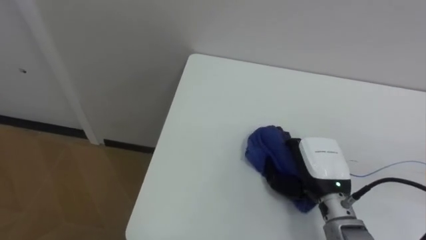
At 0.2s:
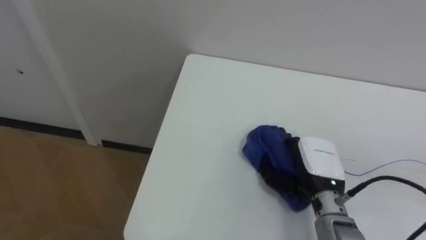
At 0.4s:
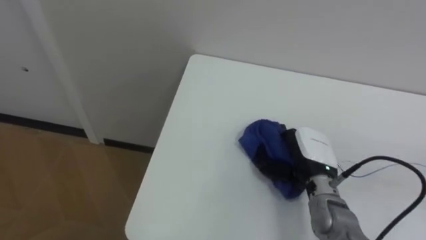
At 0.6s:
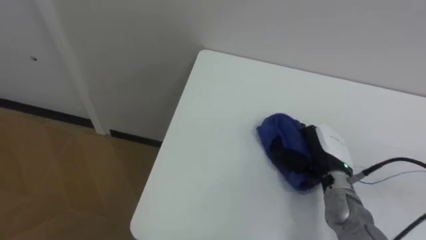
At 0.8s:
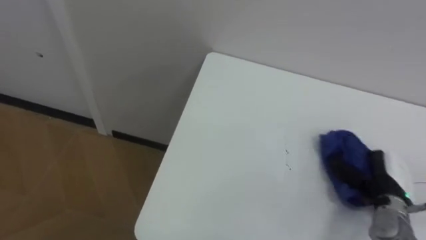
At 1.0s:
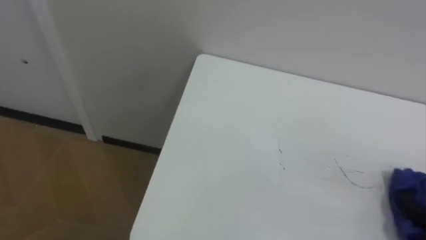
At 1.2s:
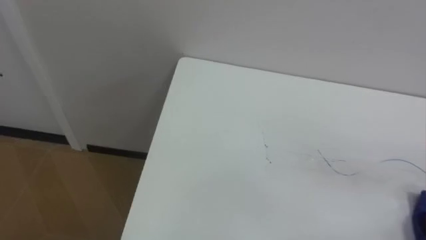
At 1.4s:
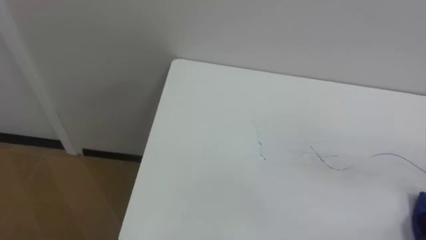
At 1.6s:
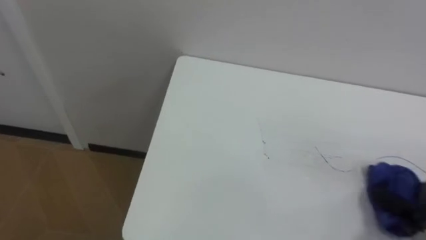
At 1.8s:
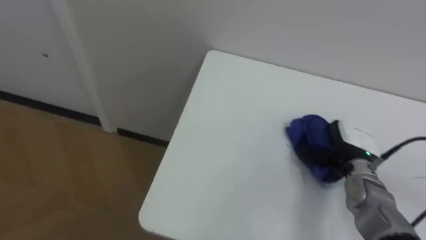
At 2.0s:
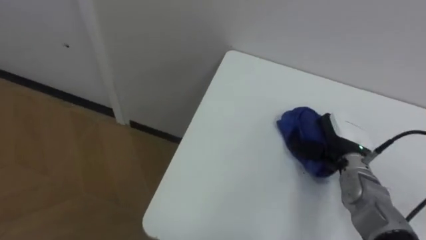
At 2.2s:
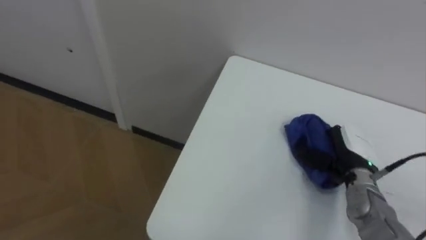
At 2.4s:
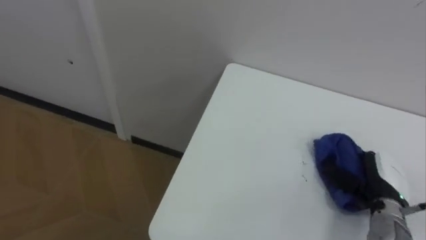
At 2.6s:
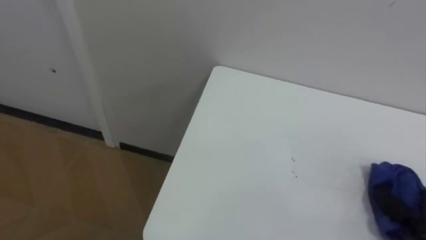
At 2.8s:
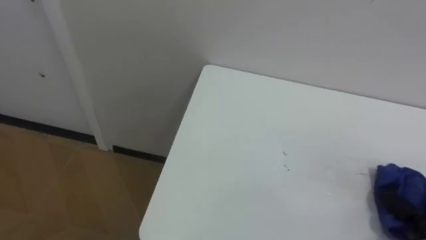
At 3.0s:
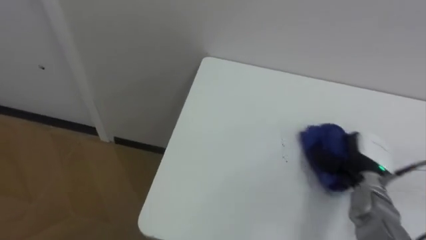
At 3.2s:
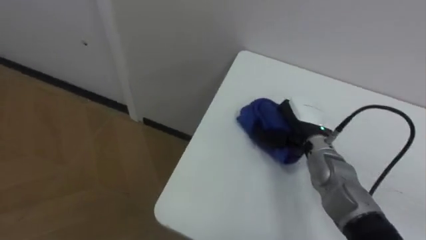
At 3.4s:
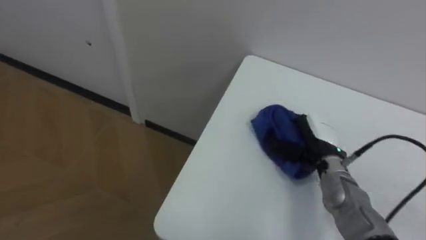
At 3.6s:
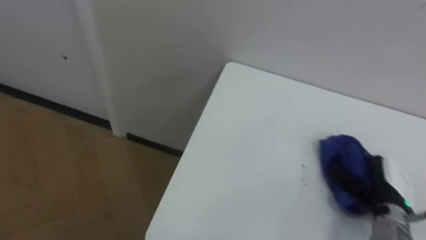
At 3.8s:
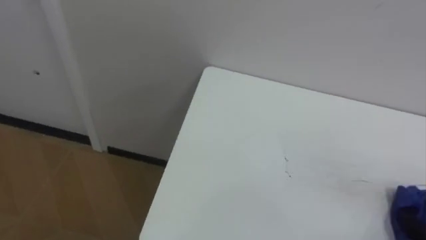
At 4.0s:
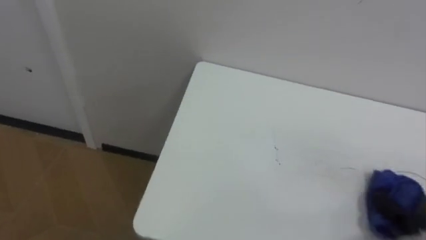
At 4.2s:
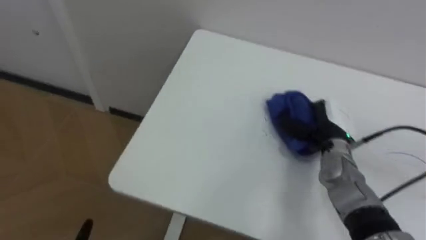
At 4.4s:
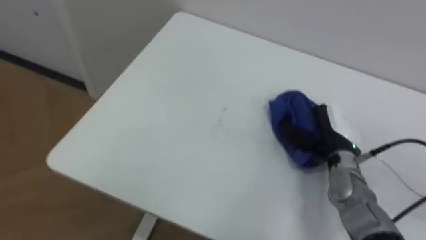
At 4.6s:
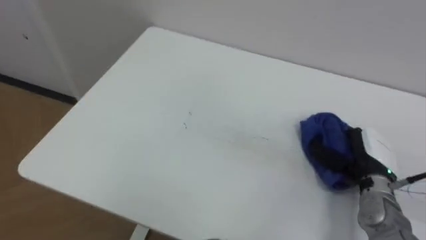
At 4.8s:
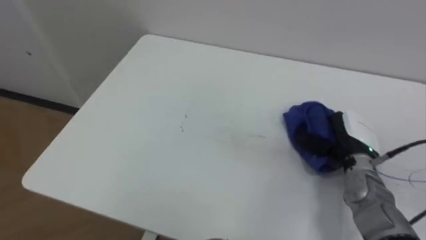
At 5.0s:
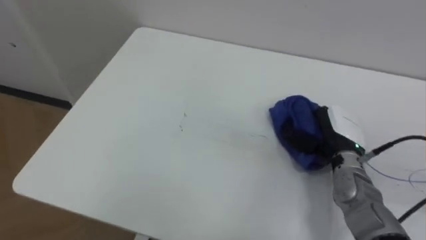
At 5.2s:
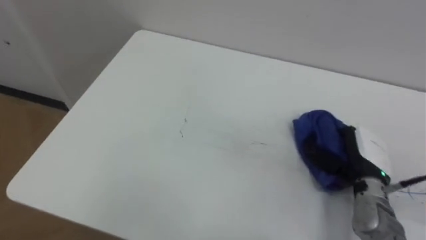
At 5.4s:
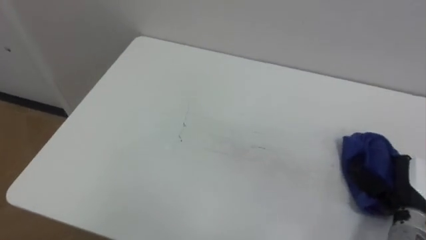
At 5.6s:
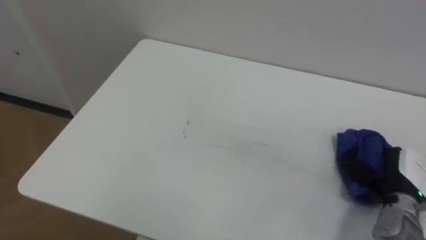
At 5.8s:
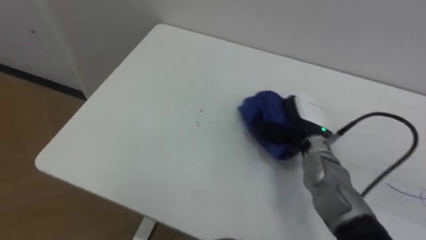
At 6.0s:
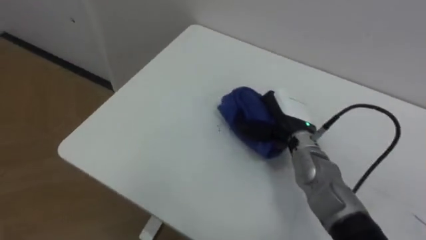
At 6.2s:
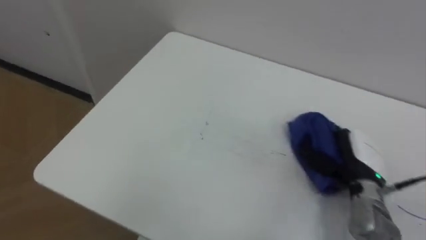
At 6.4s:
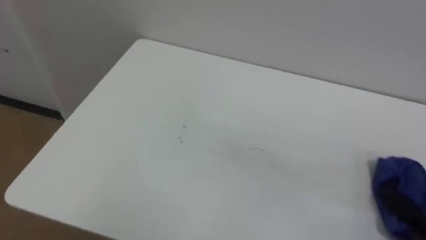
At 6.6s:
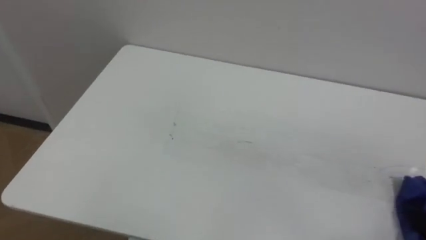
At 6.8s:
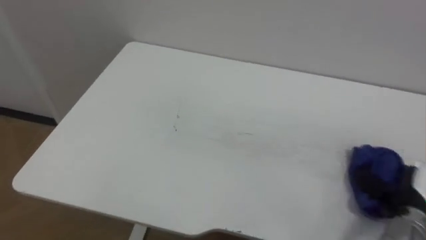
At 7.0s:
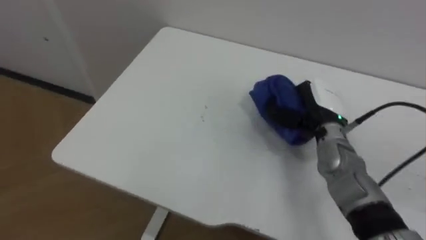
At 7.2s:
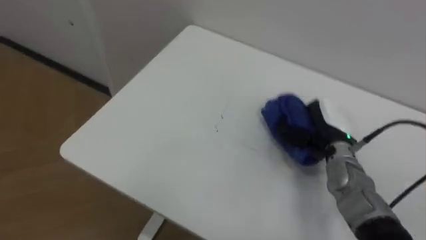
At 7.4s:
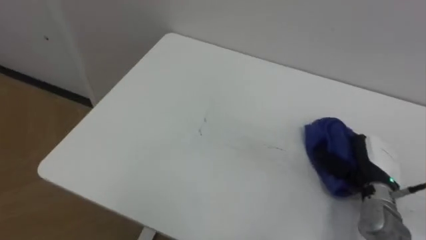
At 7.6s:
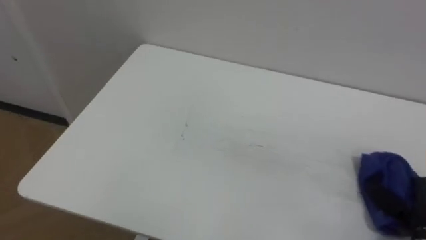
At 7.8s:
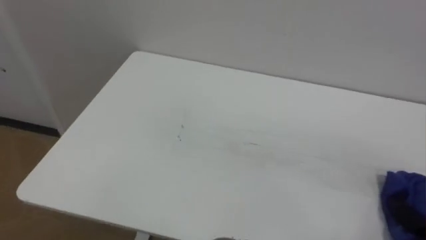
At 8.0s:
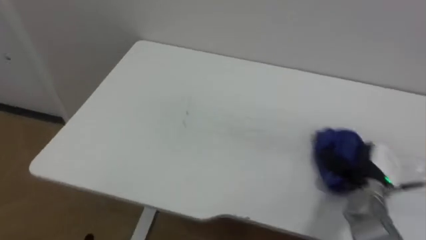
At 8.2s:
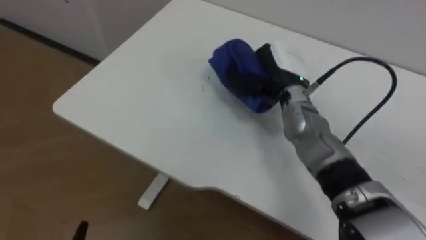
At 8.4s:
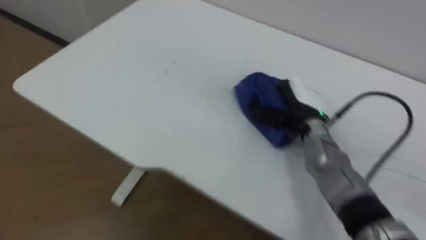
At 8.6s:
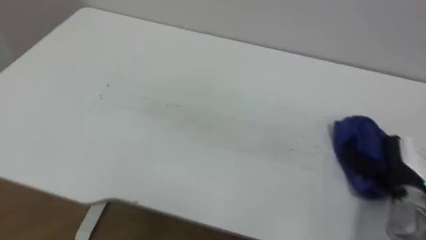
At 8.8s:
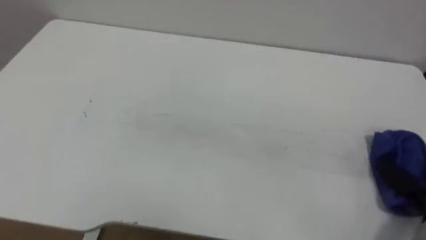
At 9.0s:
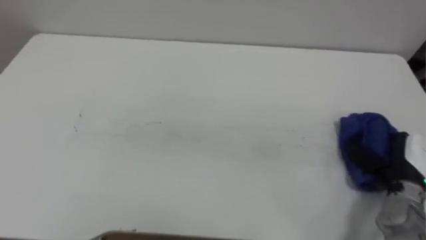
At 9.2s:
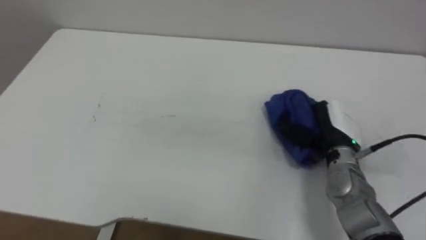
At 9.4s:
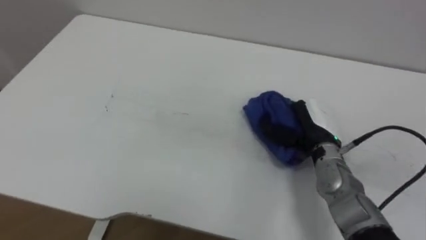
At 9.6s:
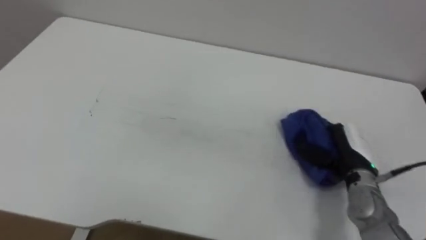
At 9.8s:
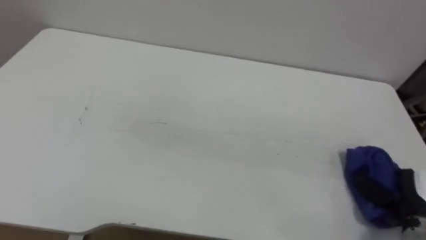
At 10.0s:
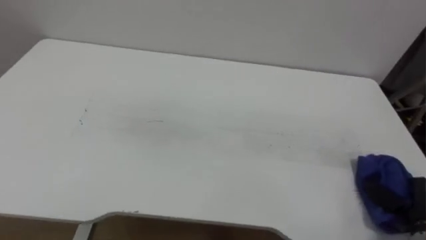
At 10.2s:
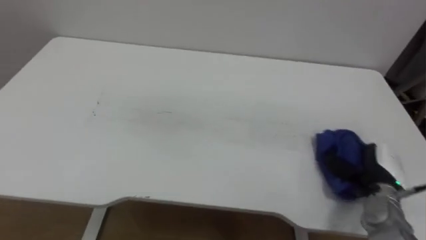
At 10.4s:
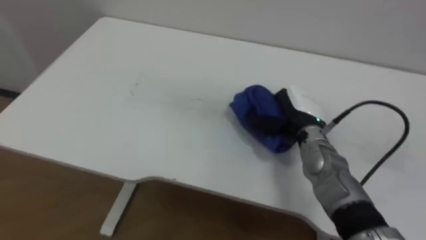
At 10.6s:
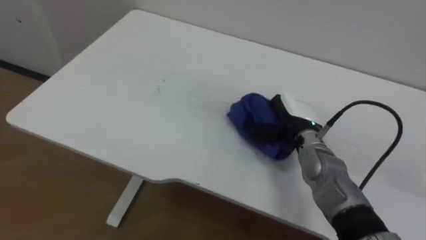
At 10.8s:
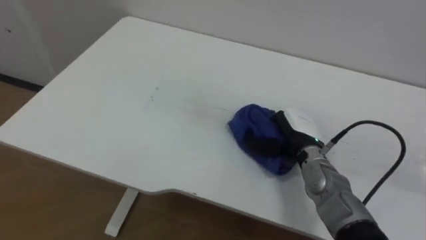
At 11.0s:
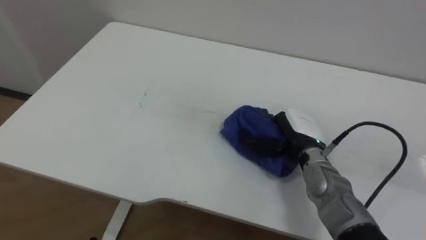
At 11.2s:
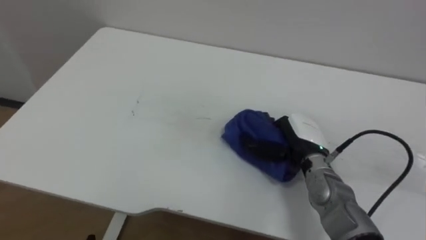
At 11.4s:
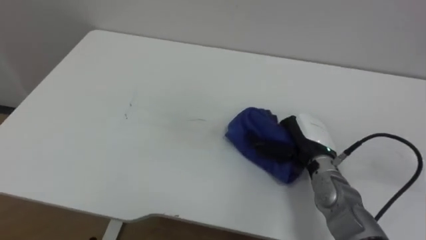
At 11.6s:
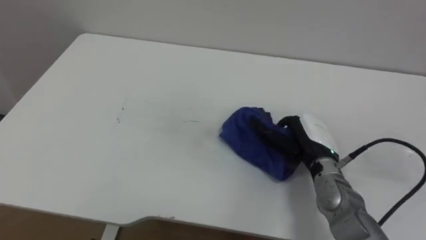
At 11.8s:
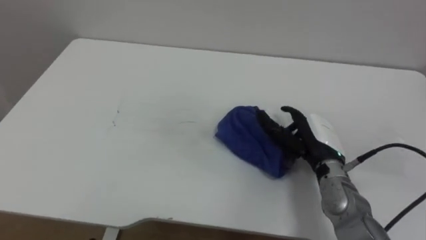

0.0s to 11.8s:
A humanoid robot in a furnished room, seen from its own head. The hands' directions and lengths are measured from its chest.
Task of the whole recording: Wipe the blue pen marks off the table with the rag.
4.4s to 6.0s: The right hand goes left and right, some 20 cm each way, reversing 3 times.
10.4s to 11.8s: The right hand is displaced backward by roughly 5 cm, and opens up.

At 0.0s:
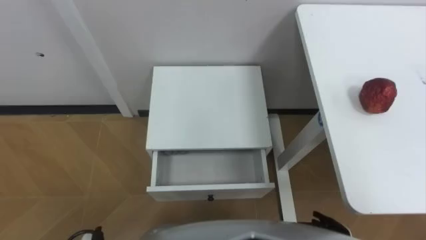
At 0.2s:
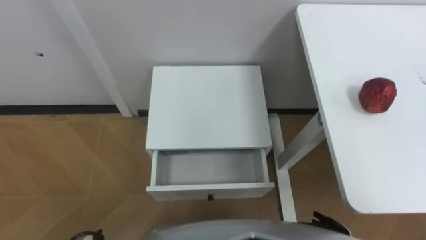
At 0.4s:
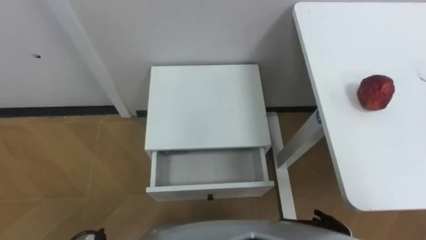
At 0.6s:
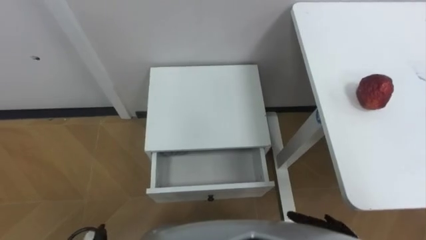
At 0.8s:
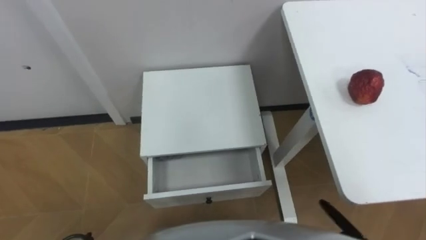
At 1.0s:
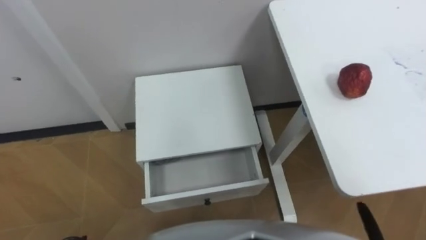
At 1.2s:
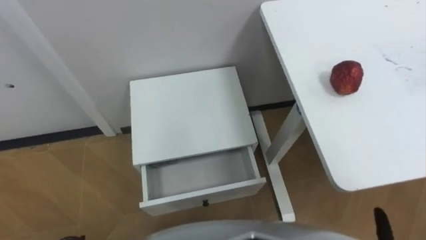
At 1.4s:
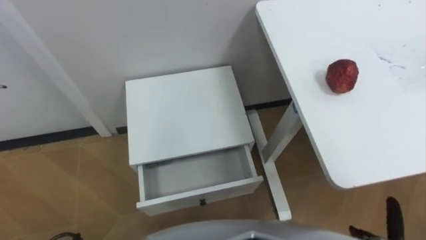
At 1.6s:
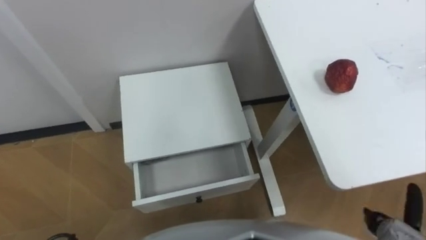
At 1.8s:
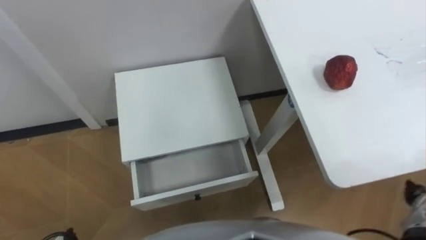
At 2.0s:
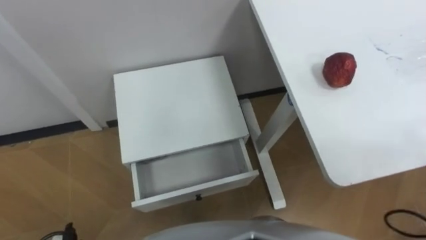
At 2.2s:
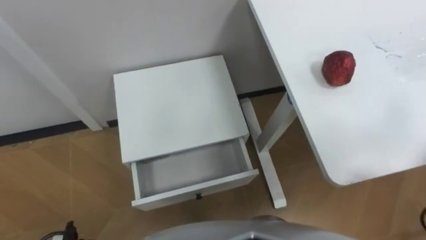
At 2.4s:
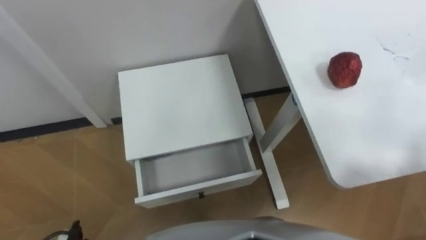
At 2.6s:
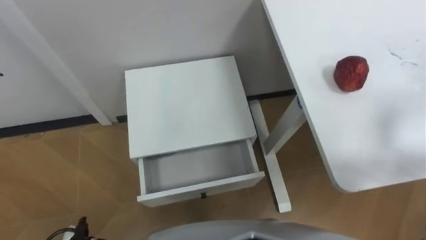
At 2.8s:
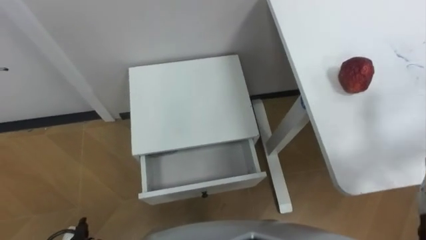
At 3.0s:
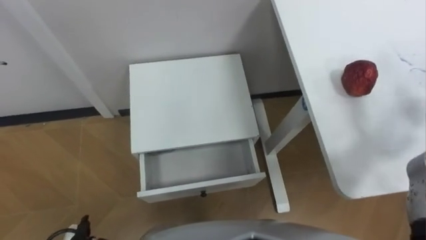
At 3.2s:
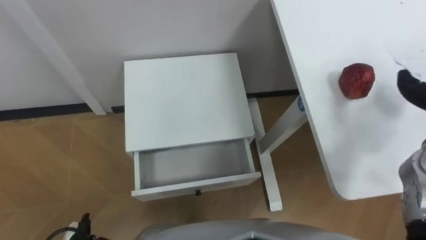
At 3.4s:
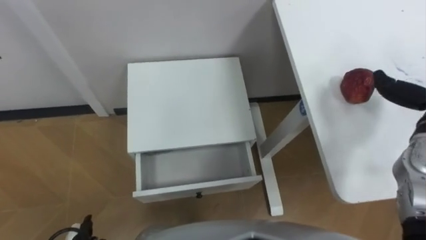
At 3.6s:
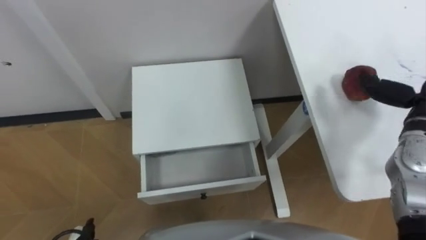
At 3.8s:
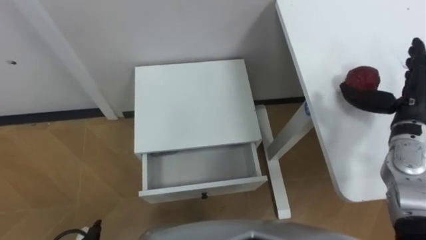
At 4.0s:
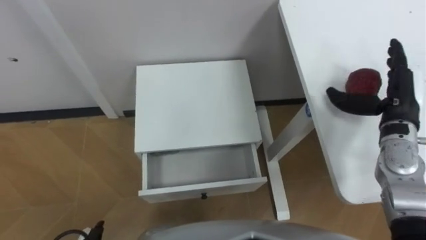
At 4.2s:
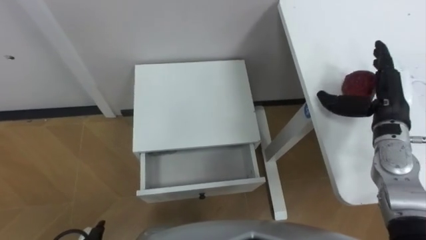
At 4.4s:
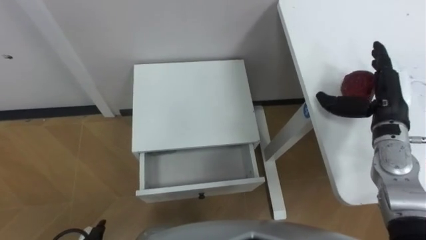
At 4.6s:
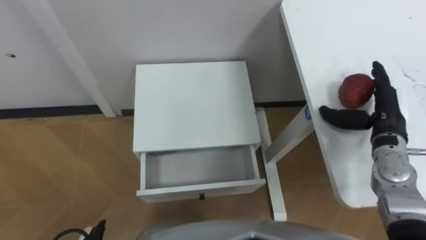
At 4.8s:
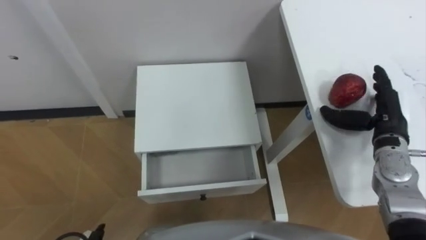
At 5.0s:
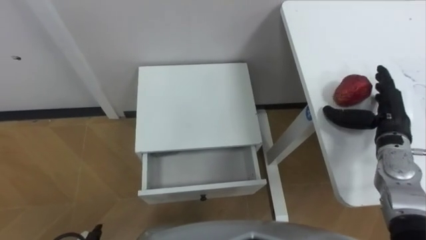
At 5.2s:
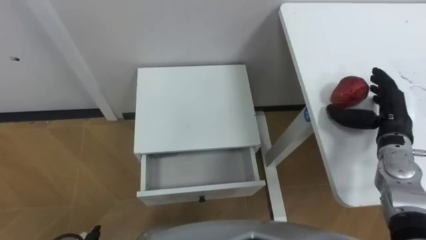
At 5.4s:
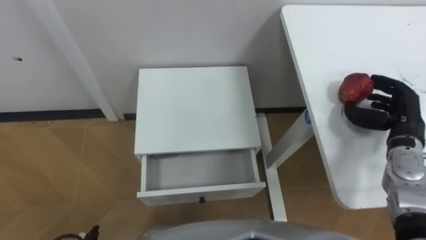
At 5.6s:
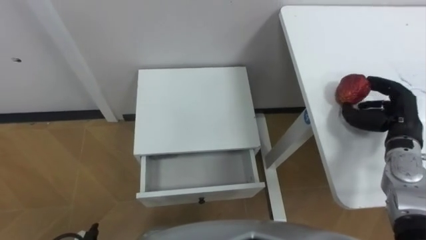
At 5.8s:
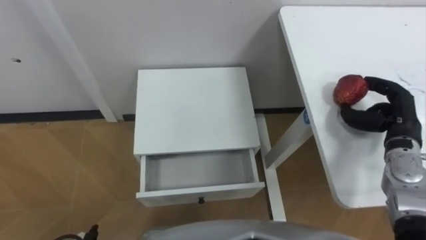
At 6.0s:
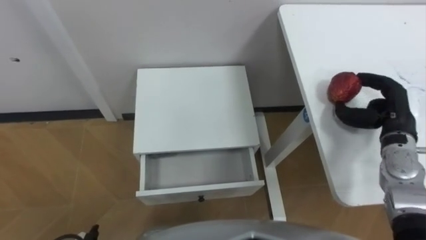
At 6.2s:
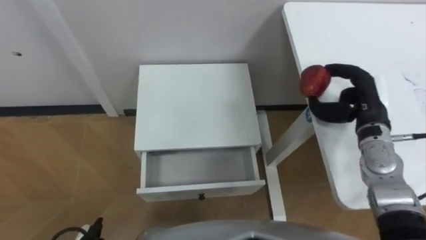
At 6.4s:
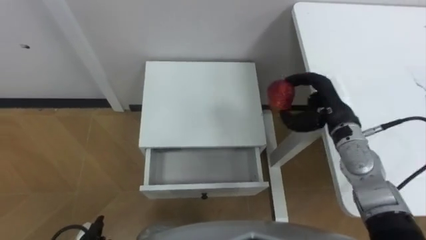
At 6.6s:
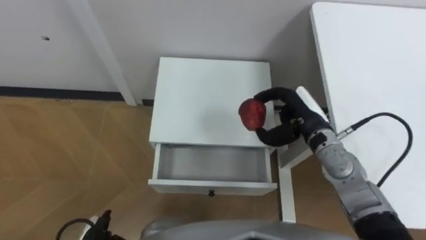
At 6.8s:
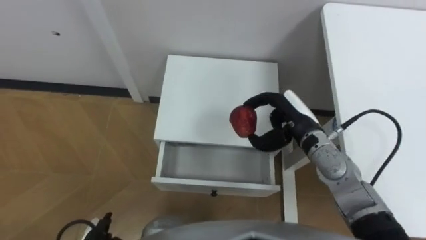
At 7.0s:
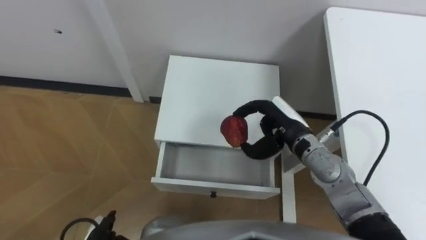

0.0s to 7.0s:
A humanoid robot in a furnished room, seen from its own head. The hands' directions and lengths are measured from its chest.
Task of the whole recording: Pick up the apple from the table, put it in the drawer, and close the drawer with leg.
4.2s to 5.6s: The right hand ends up roughly 5 cm from where it was, and closes up.
5.6s to 7.0s: The right hand is displaced to the left by some 20 cm.
